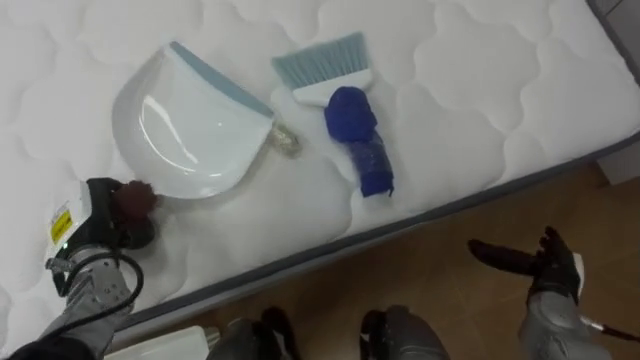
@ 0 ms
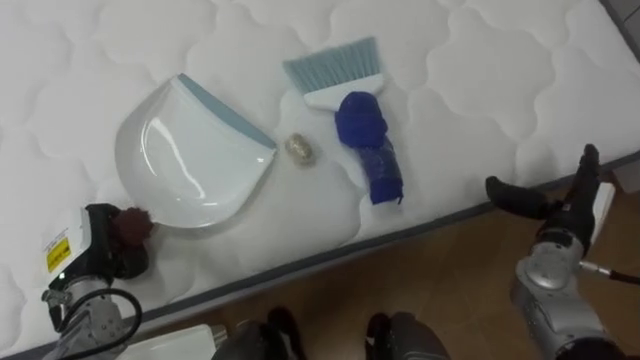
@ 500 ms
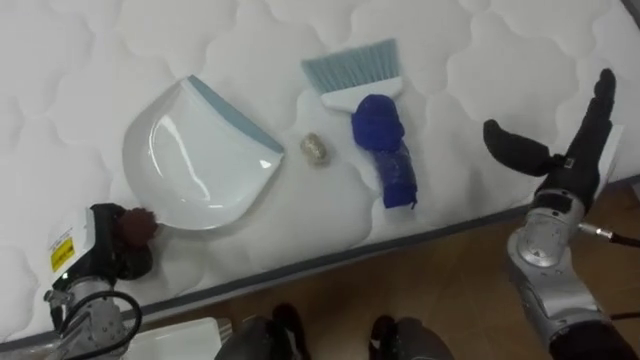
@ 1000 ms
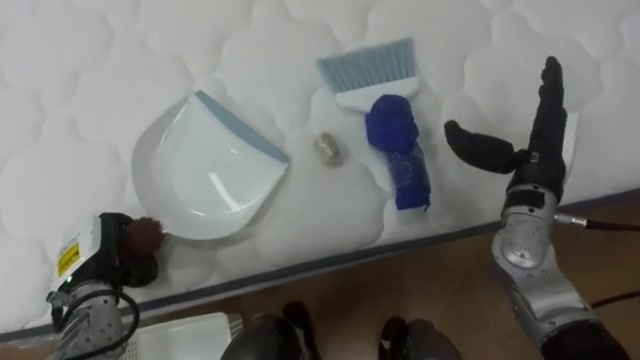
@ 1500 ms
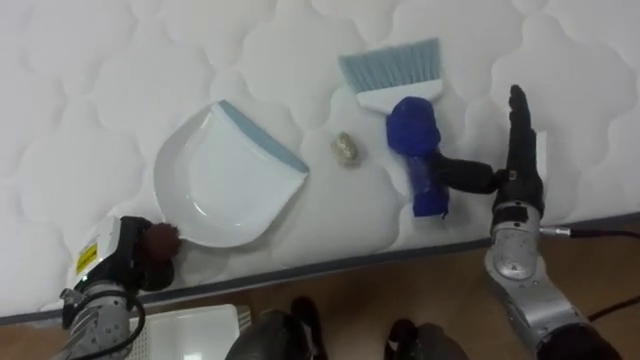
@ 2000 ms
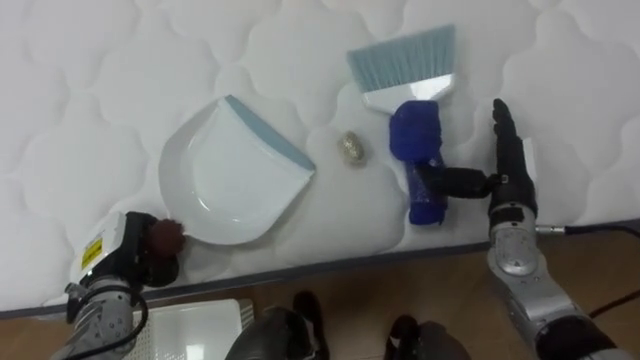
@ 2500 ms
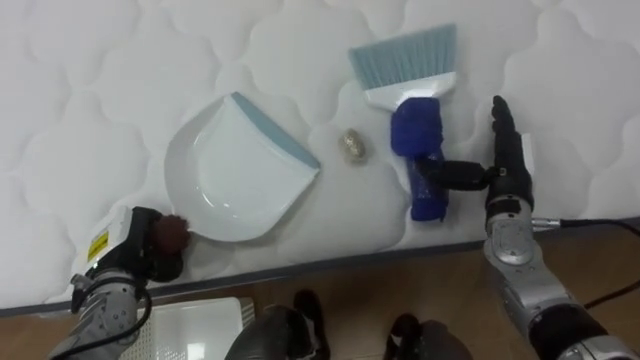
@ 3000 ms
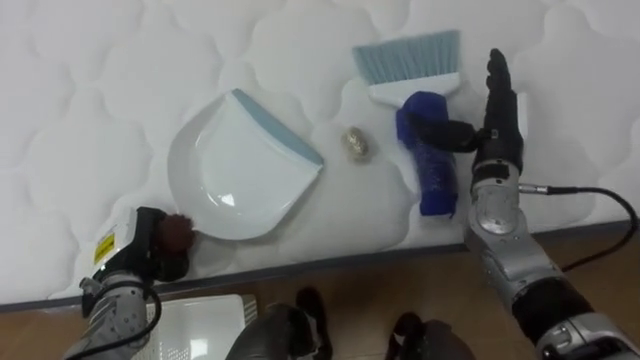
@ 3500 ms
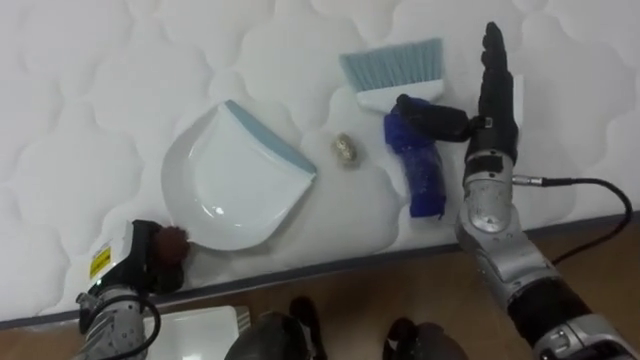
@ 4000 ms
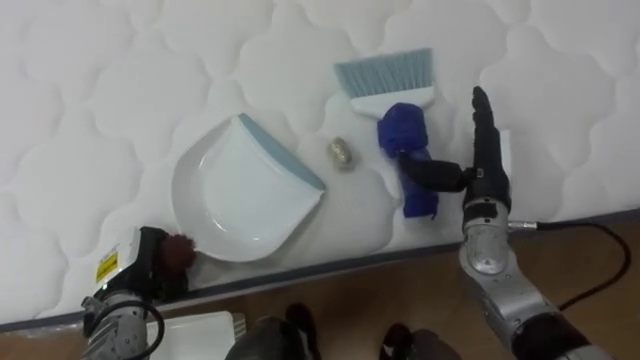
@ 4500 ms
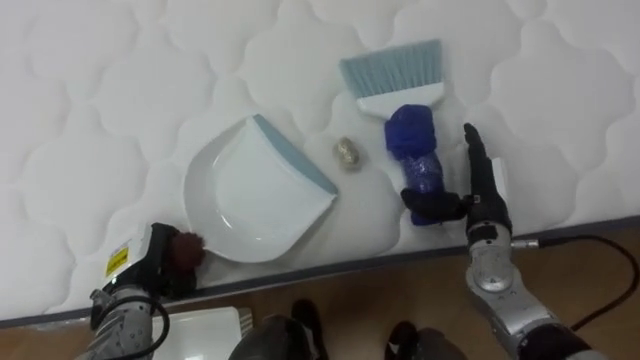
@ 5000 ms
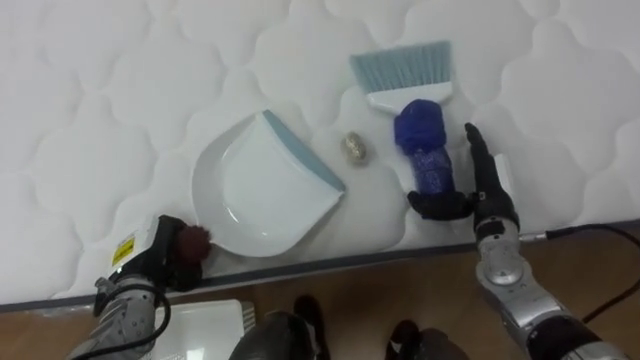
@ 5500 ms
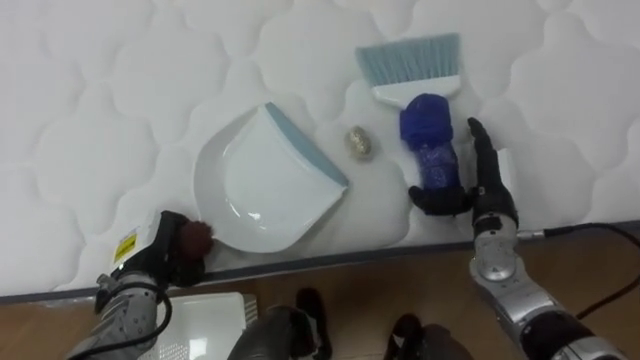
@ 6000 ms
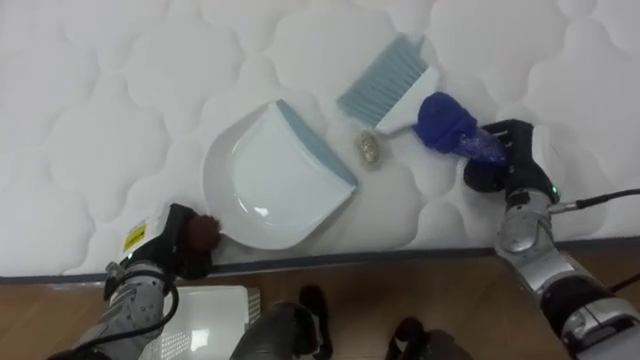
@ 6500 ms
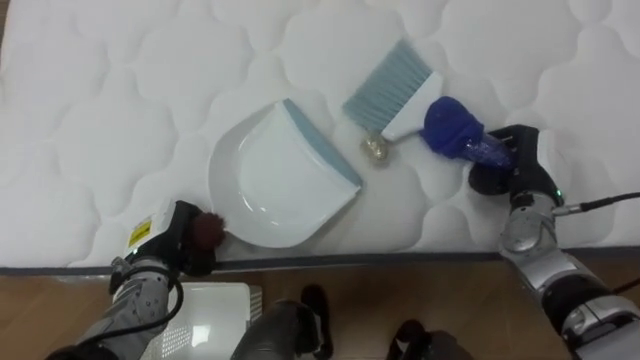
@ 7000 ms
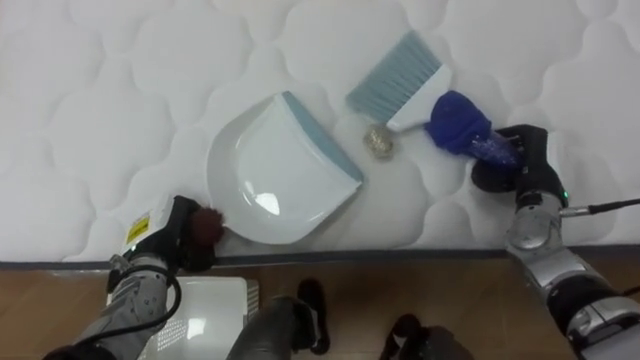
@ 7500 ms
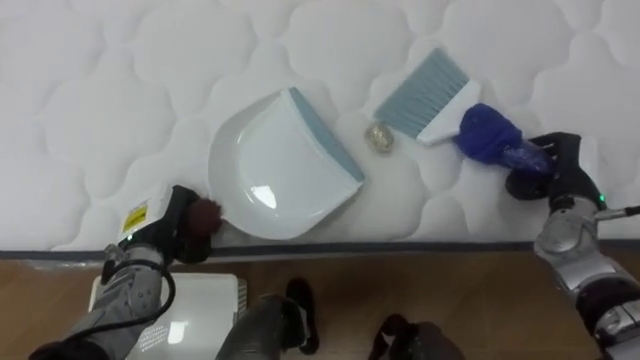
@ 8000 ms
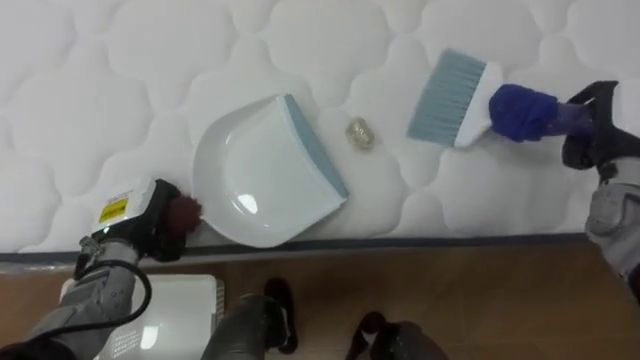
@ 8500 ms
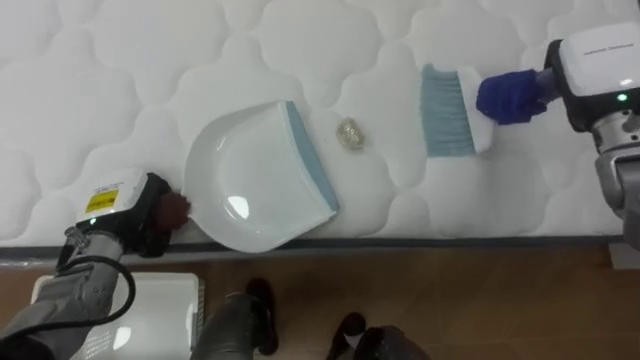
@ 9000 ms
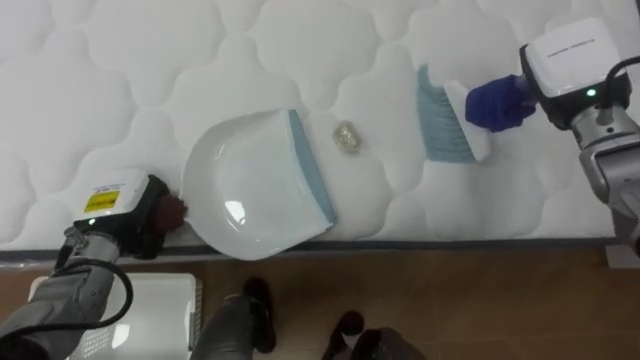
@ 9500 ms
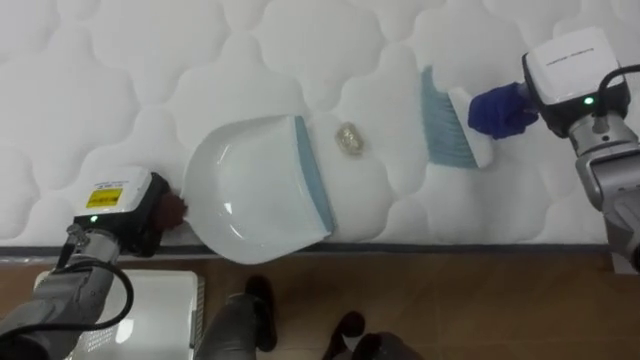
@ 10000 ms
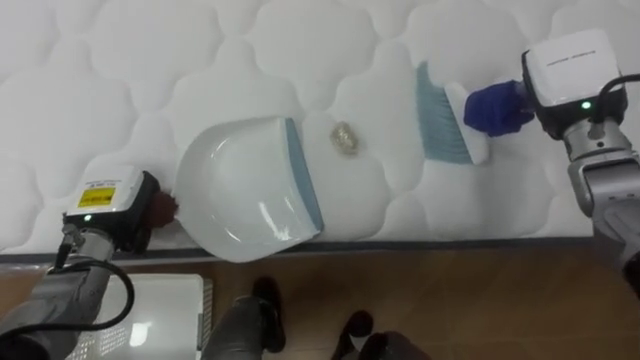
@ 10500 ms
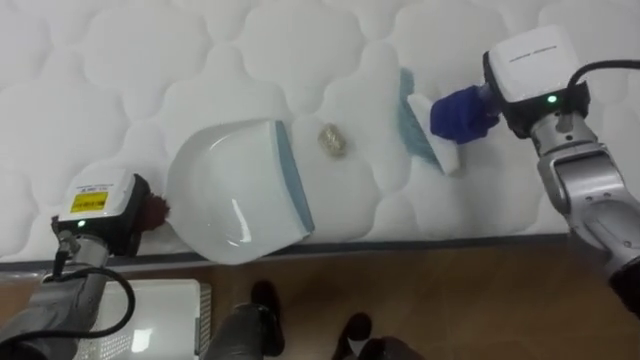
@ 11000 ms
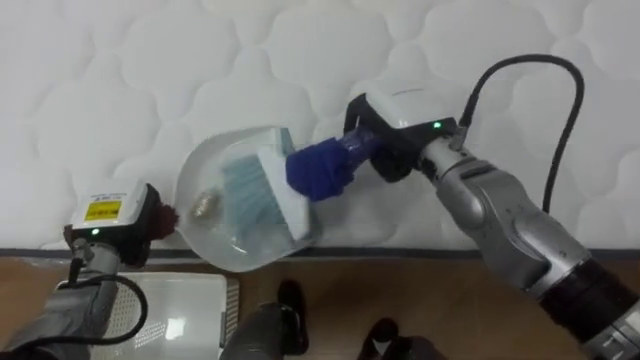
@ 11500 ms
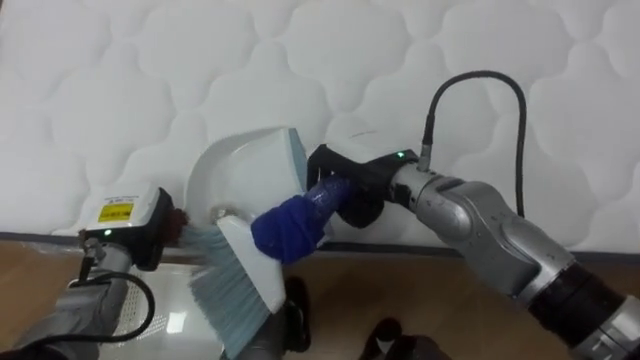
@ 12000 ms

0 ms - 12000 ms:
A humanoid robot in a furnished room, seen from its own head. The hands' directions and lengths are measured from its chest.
Task of the whole recording: Pick up the brush on your right and the dustpan on your left. Use the brush to sweep the crumpled paper on the bed into the dustpan, then turn left and empty it into the basket.
0 ms - 2000 ms: The right hand heads upward, forward and to the left, covering some 20 cm. The left hand ends up some 5 cm from where it was.
2000 ms - 4000 ms: The right hand heads upward, covering about 5 cm.
4000 ms - 6000 ms: The right hand shifts roughly 10 cm downward.
6000 ms - 8000 ms: The right hand shifts about 10 cm to the right, and closes.
8000 ms - 10000 ms: The left hand changes place by some 5 cm. Meanwhile the right hand travels upward and forward by approximately 15 cm.
10000 ms - 12000 ms: The right hand goes some 25 cm to the left.

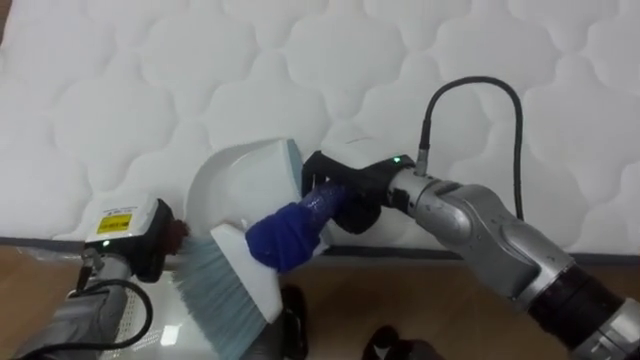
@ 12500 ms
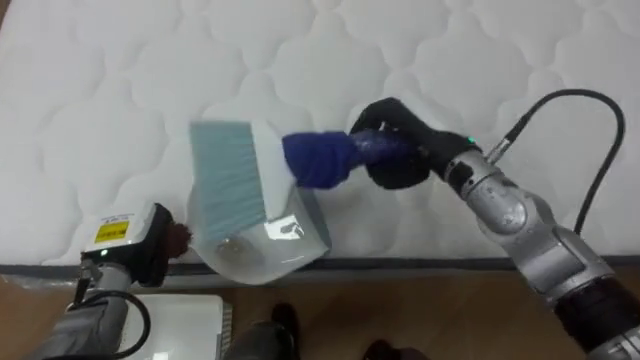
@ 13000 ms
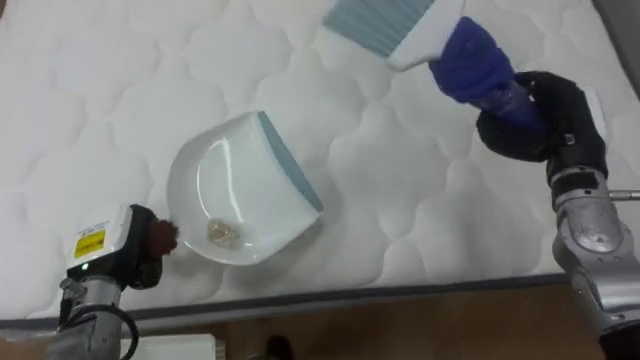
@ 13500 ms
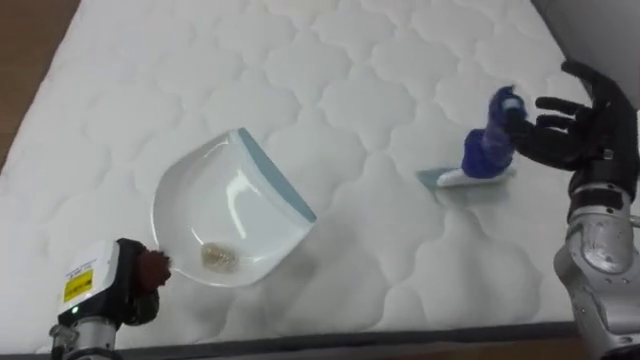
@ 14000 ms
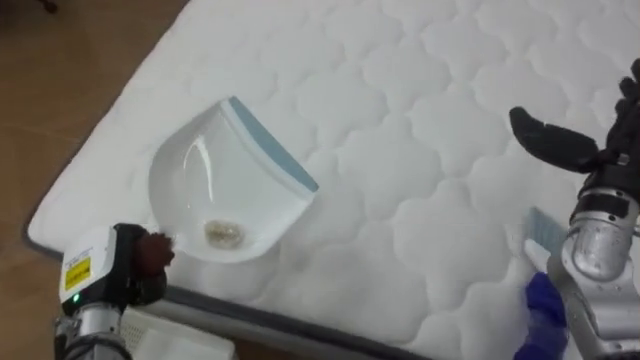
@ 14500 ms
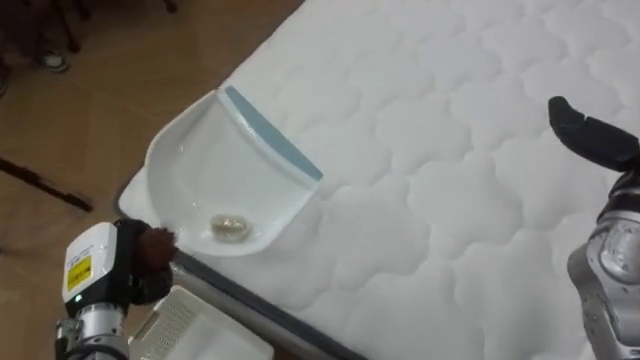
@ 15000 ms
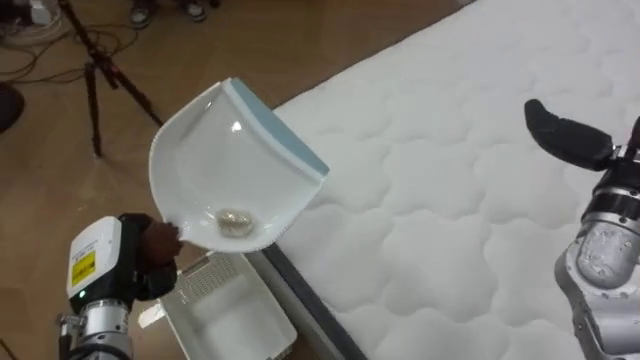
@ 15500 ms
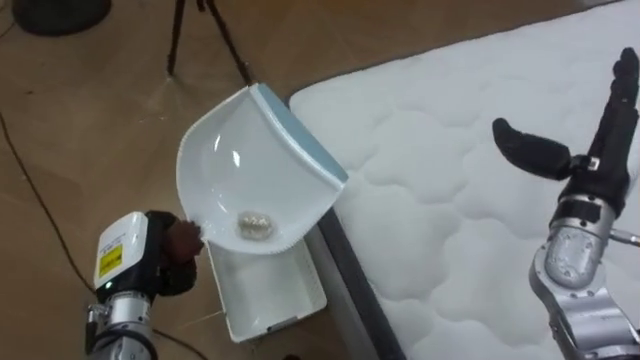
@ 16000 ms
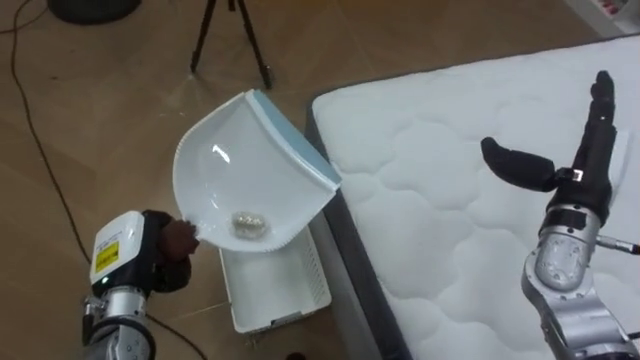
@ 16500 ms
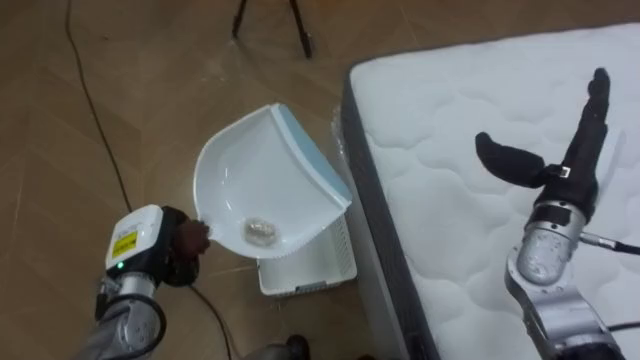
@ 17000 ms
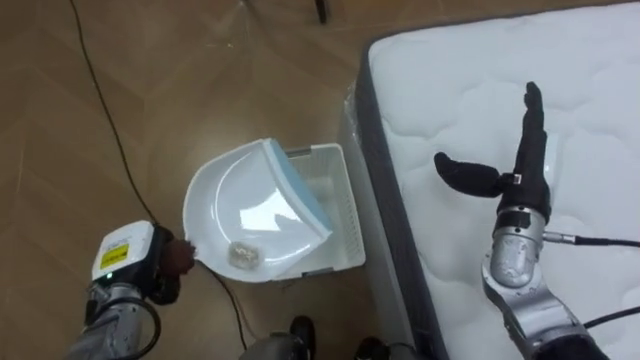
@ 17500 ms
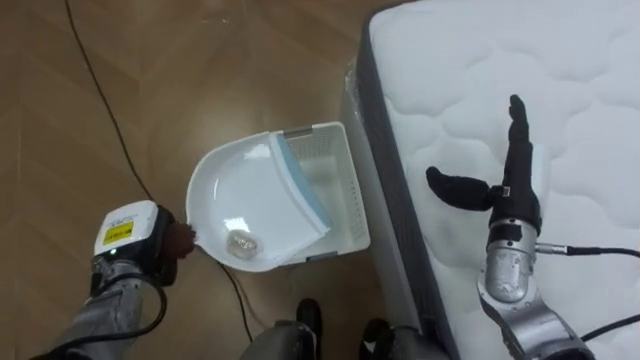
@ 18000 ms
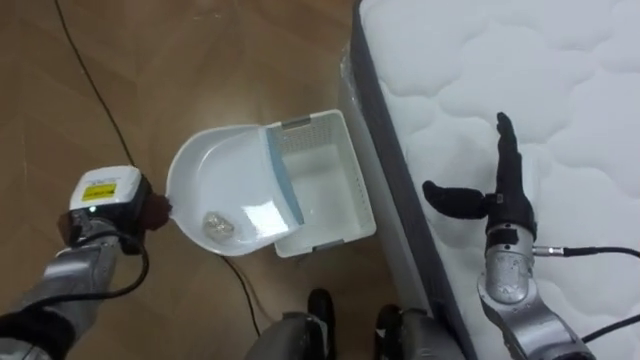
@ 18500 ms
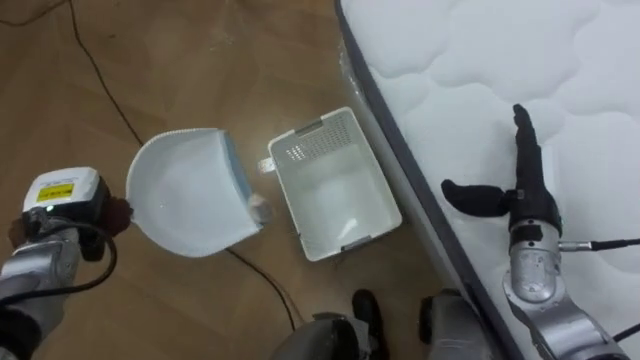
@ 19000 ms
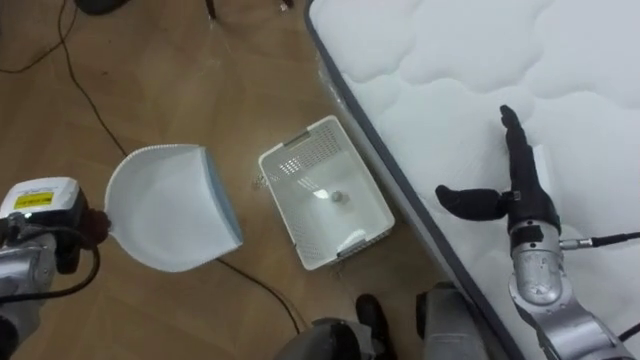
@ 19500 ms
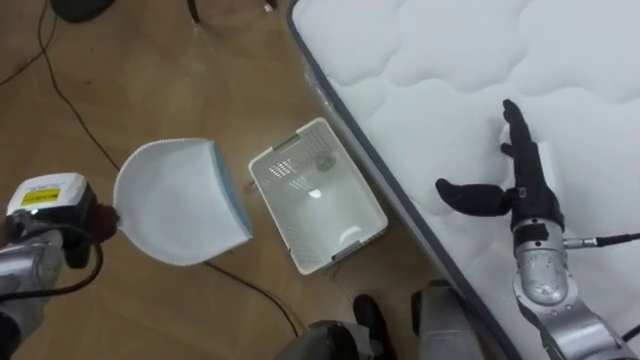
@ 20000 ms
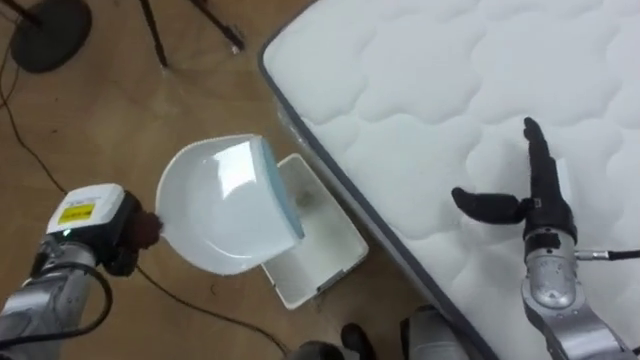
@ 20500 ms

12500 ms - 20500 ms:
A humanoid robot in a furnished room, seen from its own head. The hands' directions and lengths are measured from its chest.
Task of the whole recording: Pick up the brush on your right and the dustpan on your left. Use the brush to sweep the crumpled paper on the bed into the dustpan, then turn left and empty it into the basket.
12500 ms - 14500 ms: The robot turns to its left by roughly 15 degrees. The left hand is displaced backward by some 5 cm, while the right hand is displaced to the right by roughly 30 cm, and opens.
14500 ms - 16500 ms: The robot rotates some 55 degrees to its left.
16500 ms - 18500 ms: The right hand moves to the left and downward, roughly 10 cm, while the left hand goes about 5 cm forward.
18500 ms - 20500 ms: The robot's body swings approximately 15 degrees to its right. The left hand travels to the left and back again, roughly 10 cm each way.
